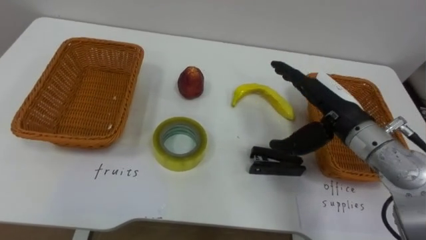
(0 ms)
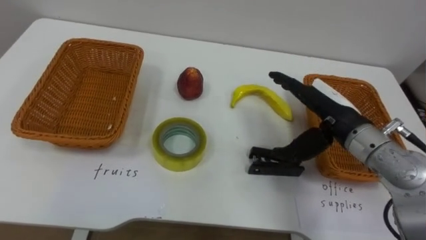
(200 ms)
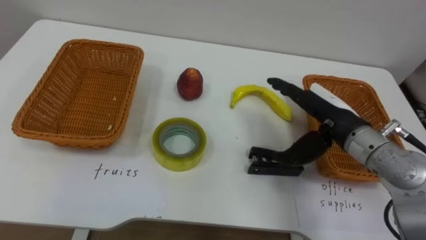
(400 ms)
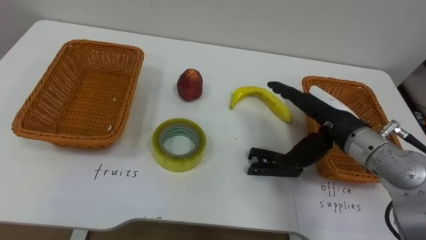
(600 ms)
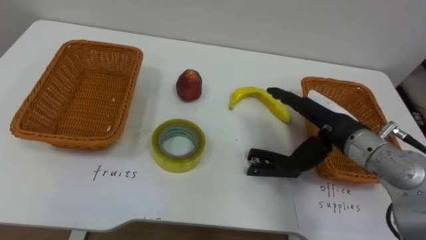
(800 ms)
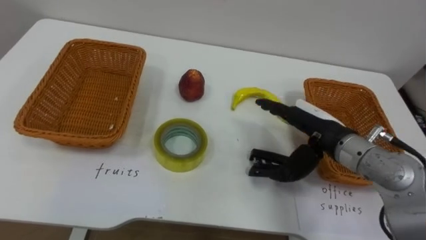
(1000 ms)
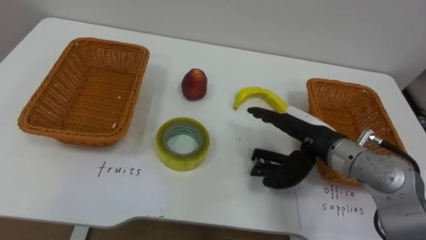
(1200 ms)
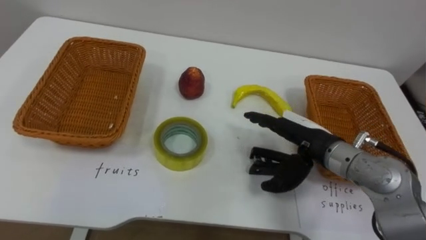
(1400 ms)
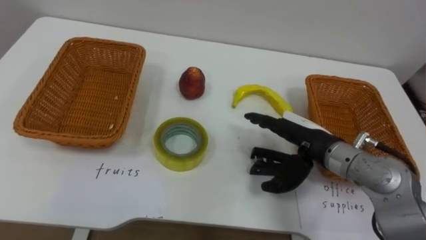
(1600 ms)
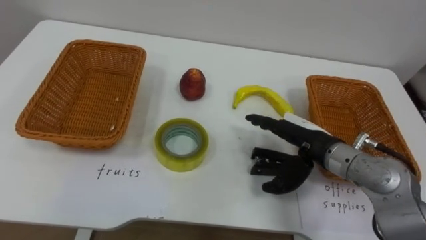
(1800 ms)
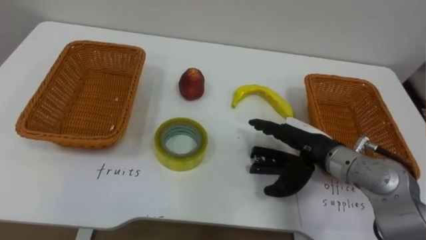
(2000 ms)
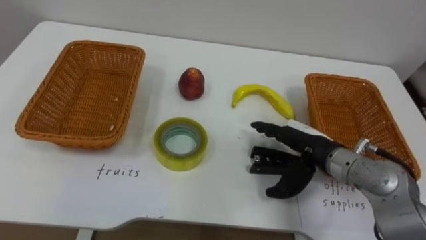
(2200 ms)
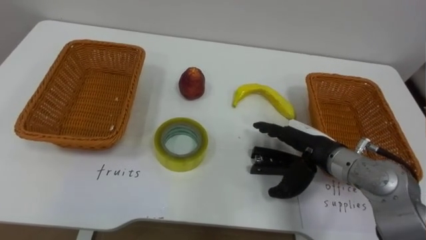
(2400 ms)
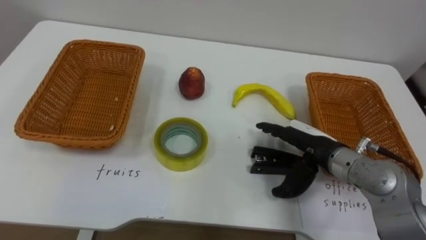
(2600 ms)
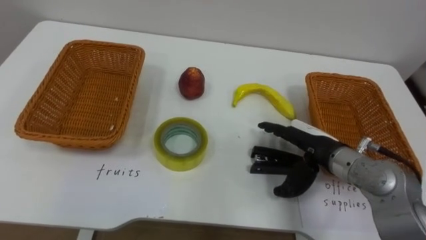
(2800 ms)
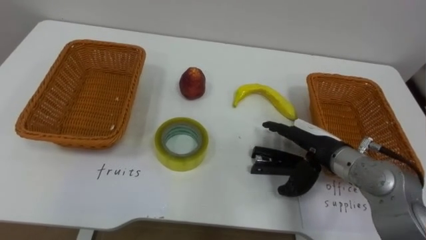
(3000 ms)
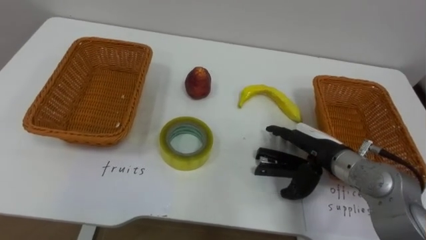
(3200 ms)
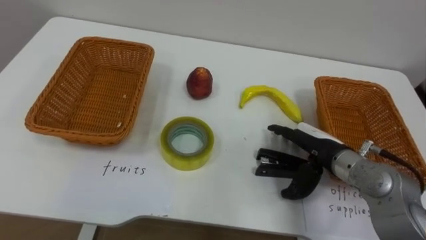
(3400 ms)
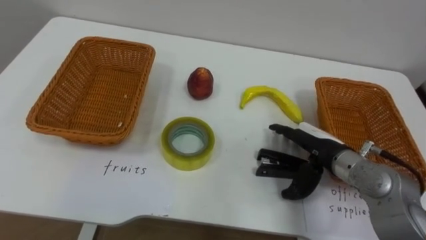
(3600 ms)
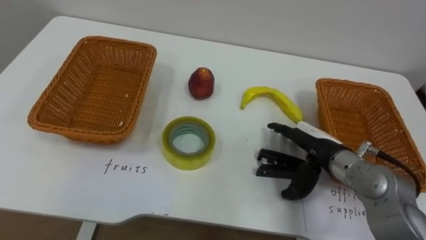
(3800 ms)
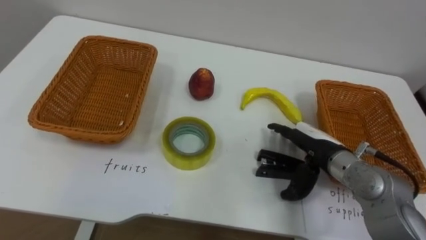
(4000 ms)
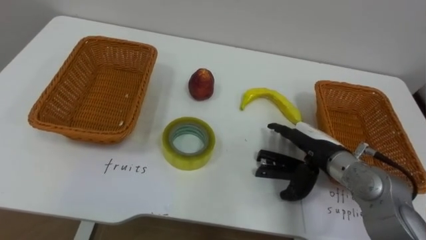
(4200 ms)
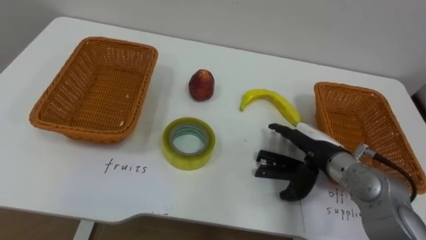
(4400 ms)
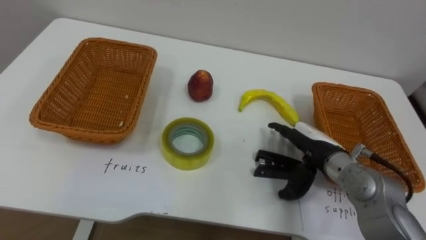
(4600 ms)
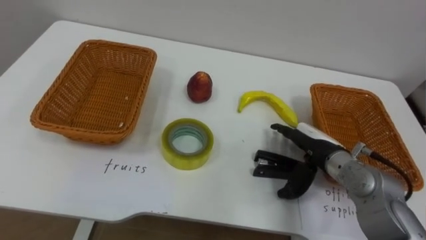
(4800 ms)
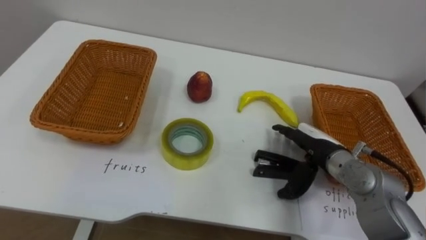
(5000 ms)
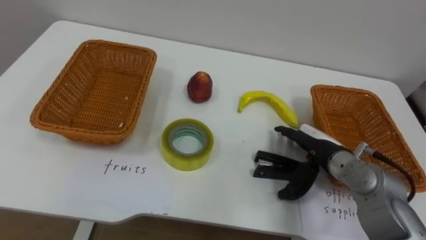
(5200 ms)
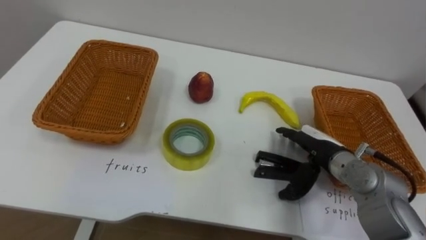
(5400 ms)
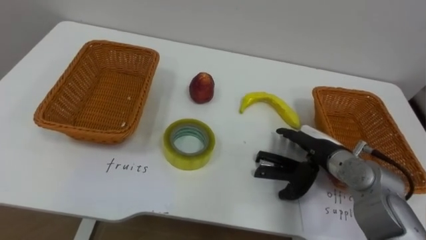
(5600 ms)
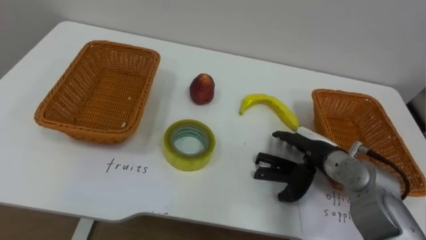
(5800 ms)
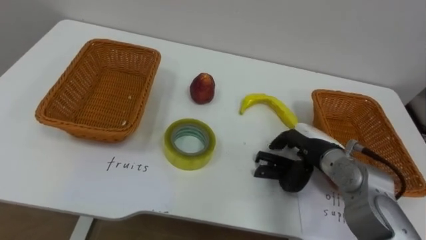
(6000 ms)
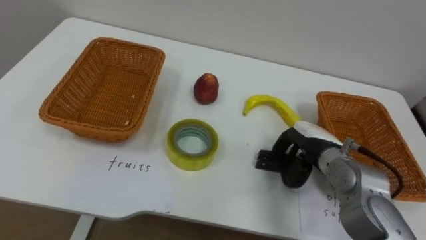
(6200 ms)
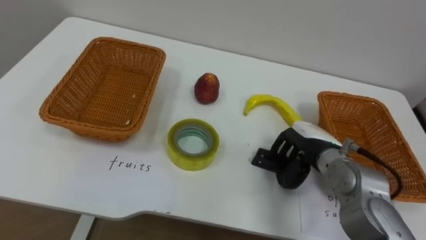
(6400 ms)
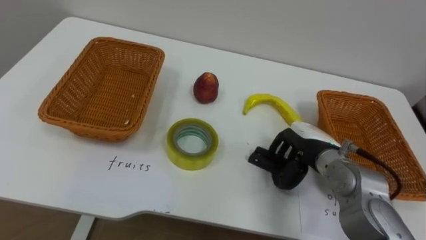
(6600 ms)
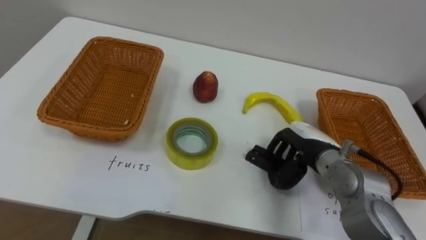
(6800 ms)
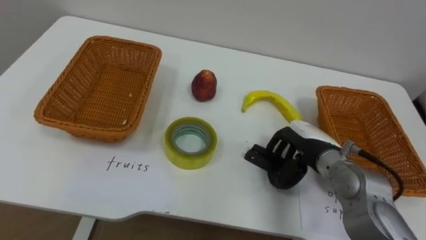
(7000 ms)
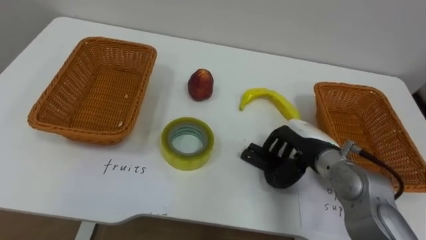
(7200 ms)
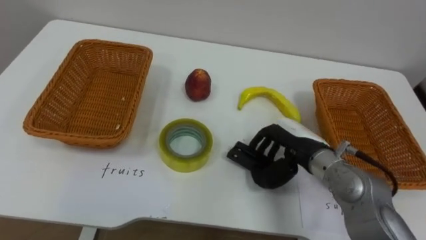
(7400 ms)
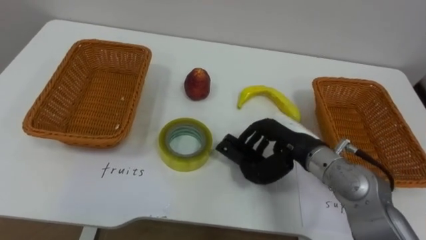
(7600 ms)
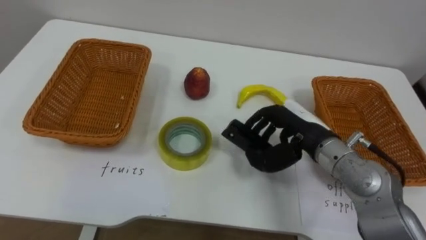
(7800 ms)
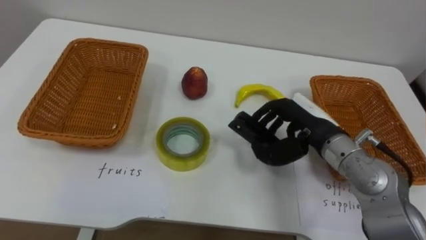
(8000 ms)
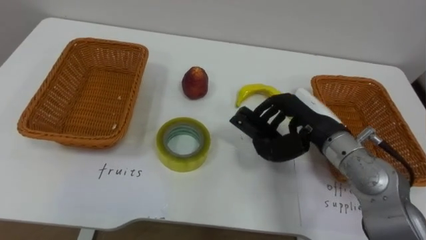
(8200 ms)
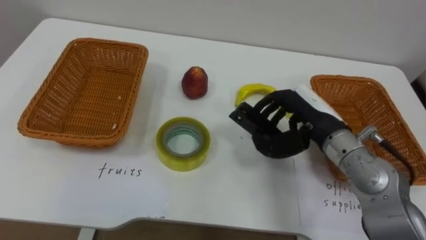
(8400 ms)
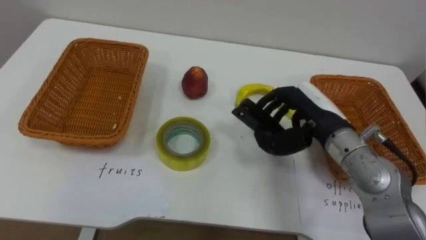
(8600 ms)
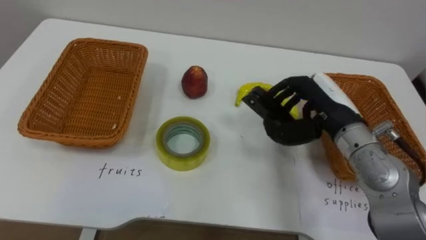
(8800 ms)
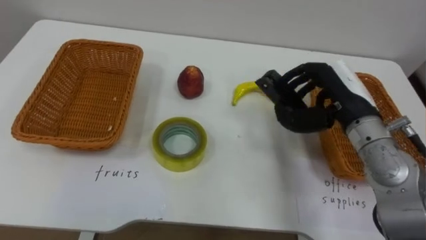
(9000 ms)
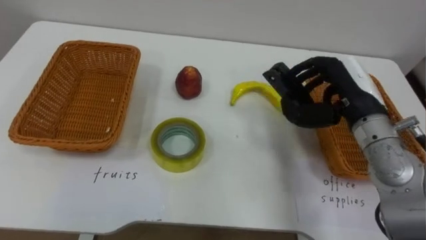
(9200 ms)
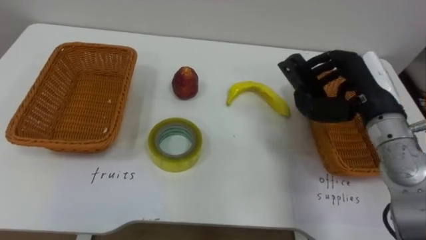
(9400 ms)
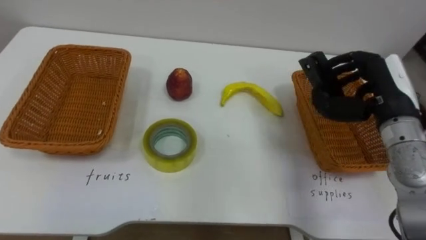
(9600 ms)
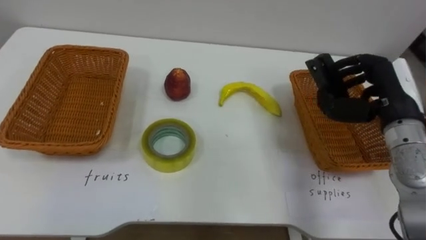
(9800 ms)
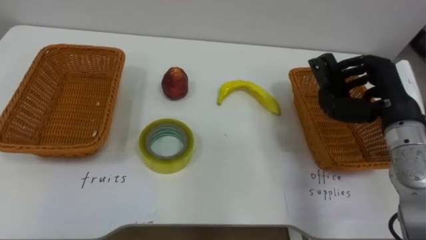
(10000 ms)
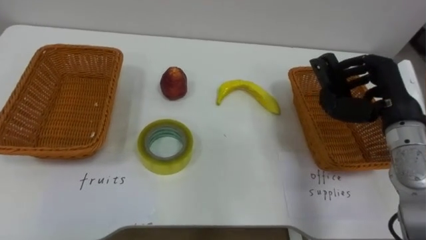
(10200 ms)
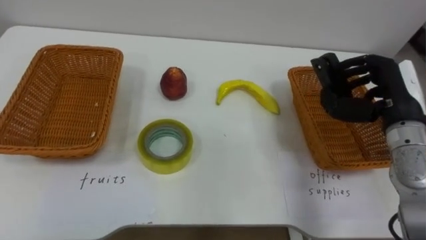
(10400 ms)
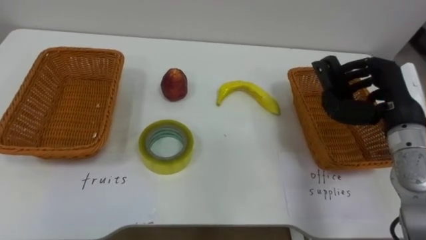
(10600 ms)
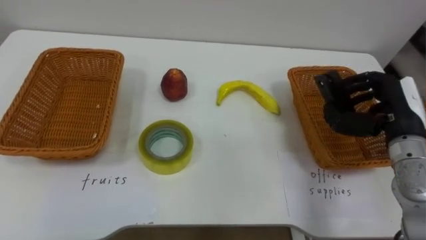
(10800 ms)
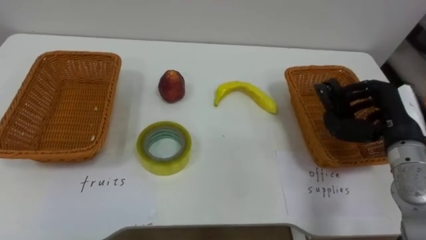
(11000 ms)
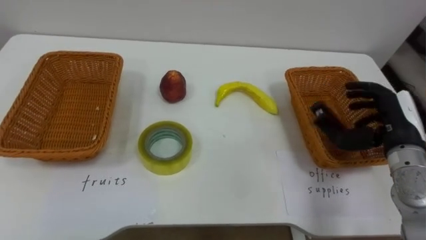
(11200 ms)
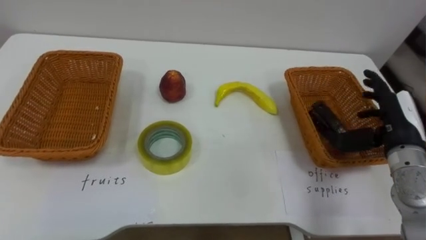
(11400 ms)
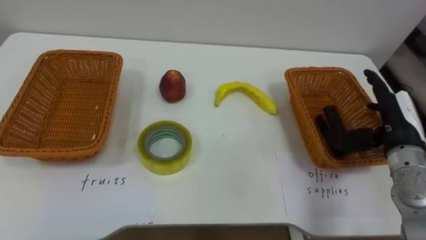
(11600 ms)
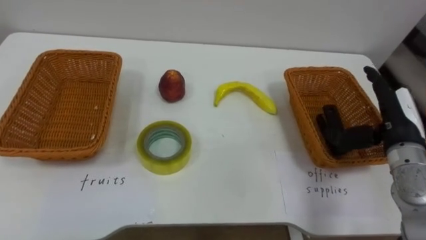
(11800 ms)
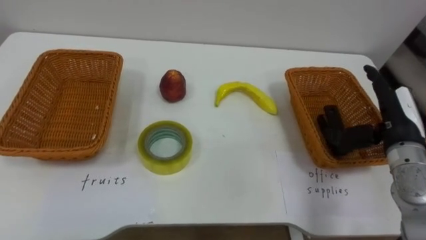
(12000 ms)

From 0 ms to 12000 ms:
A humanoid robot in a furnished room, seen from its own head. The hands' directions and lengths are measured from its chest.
Task of the whole recording: Separate the items on the table and place them into the two baskets.
From 0 ms to 1600 ms: The right hand travels downward by approximately 5 cm.
From 6000 ms to 7600 ms: The right hand moves upward, approximately 5 cm, and closes up.
From 7600 ms to 9000 ms: The right hand moves upward and to the right, about 10 cm.
From 9000 ms to 10400 ms: The right hand travels to the right by about 10 cm.
From 10400 ms to 12000 ms: The right hand opens its fingers.

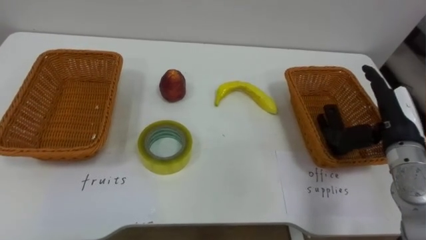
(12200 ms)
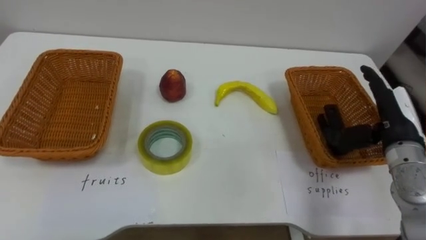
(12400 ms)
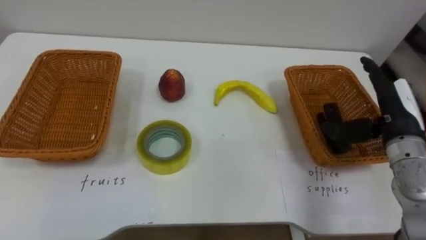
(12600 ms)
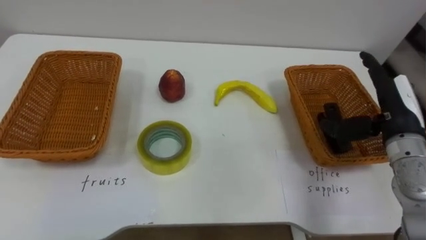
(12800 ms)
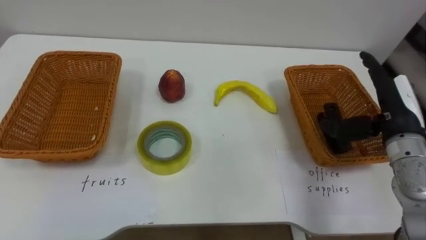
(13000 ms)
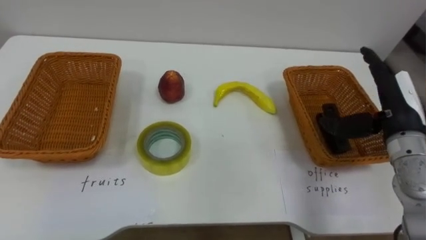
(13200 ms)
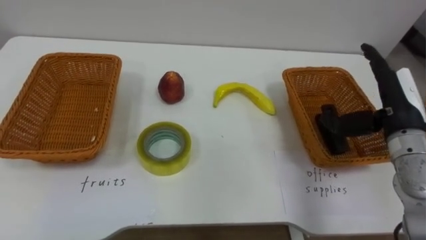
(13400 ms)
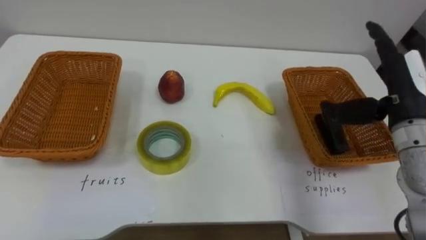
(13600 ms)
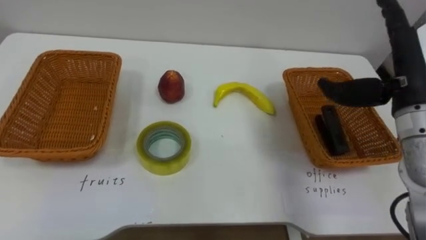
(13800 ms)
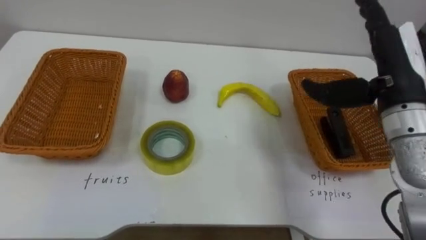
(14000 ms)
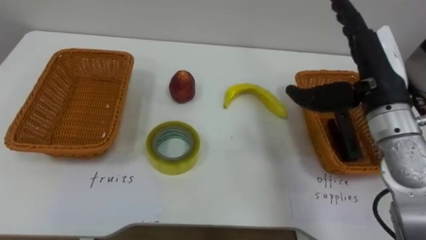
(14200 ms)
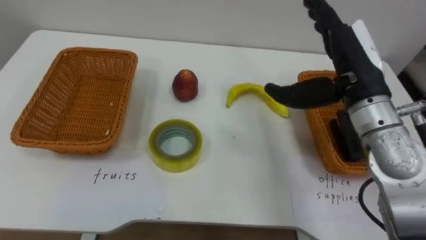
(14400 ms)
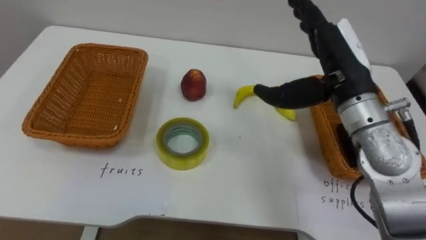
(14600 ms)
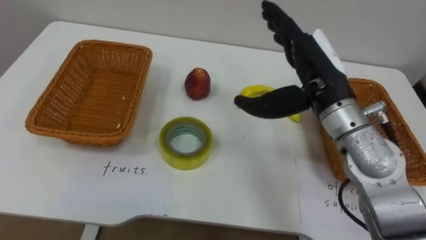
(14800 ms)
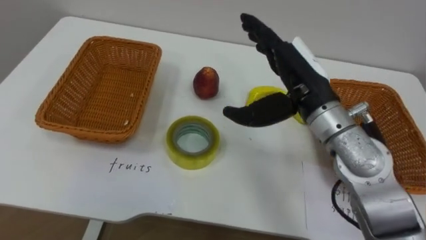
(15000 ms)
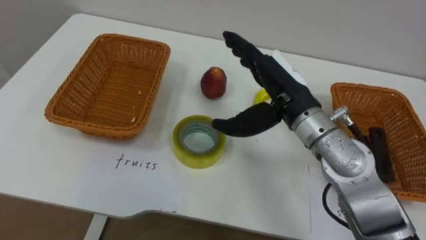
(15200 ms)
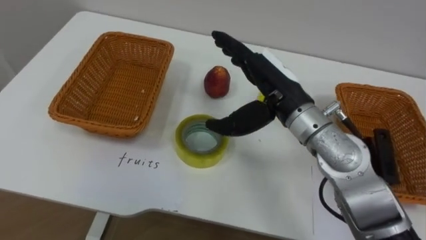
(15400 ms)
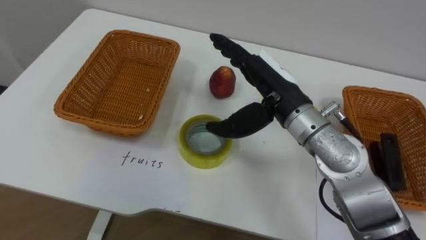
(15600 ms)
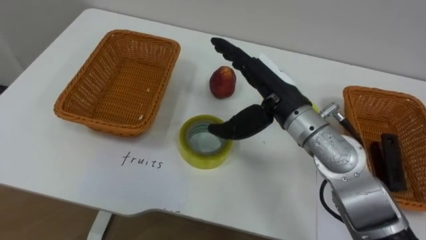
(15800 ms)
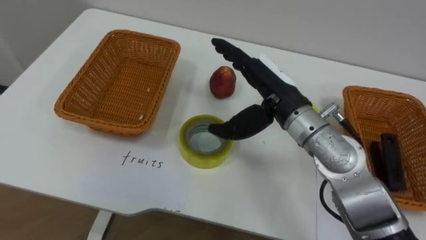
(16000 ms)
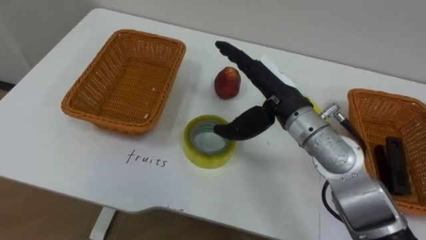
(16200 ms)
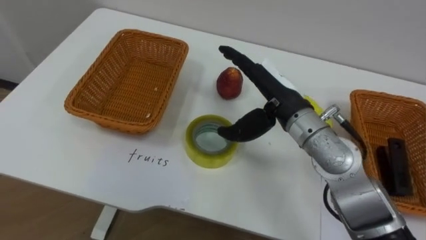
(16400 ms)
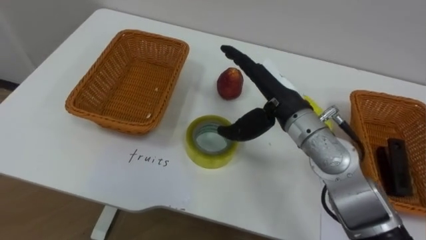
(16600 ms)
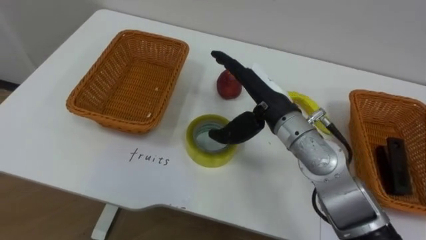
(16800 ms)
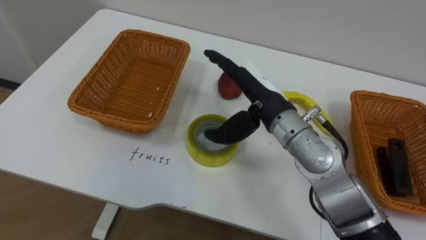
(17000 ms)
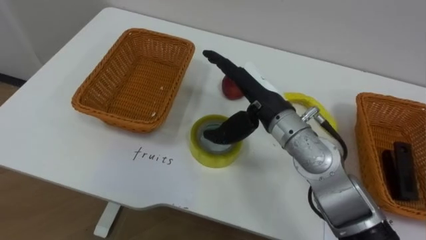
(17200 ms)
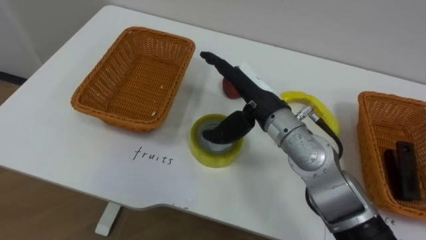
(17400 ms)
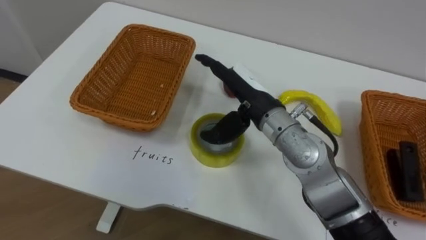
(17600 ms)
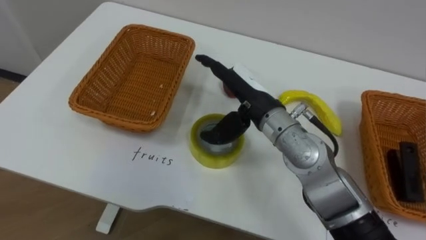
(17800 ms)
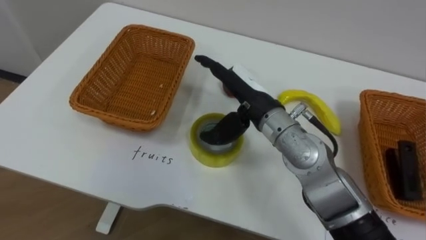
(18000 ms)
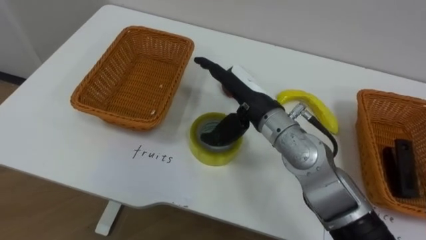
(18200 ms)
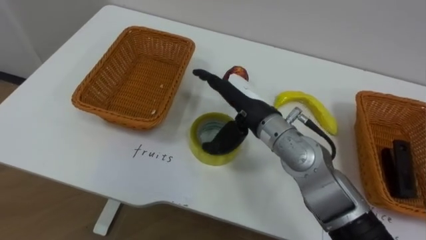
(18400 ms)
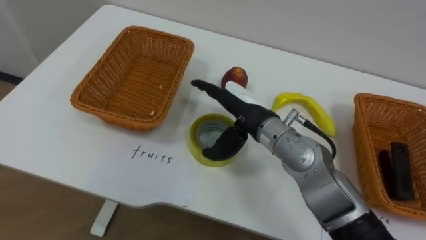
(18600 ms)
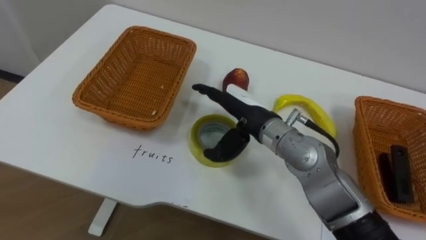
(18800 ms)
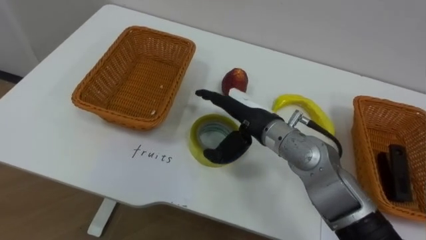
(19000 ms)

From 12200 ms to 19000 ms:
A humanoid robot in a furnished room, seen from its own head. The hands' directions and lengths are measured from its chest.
Task of the whole recording: Separate the items on the table and place them into the two baskets.
From 12200 ms to 13600 ms: The right hand goes about 5 cm upward.
From 13600 ms to 15000 ms: The right hand travels to the left by some 15 cm.
